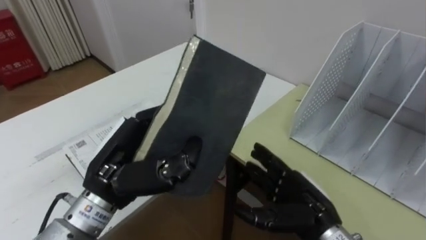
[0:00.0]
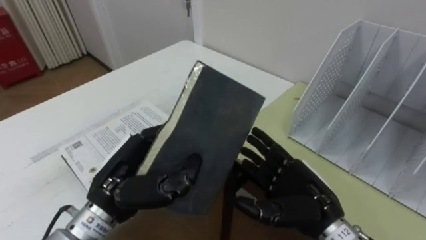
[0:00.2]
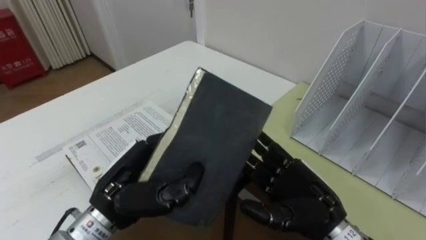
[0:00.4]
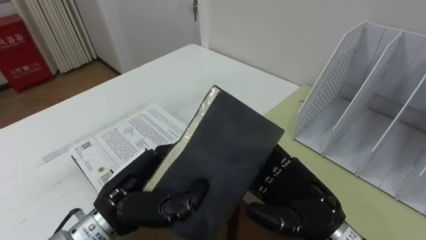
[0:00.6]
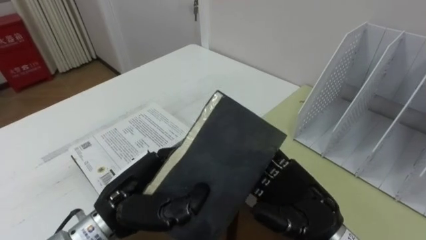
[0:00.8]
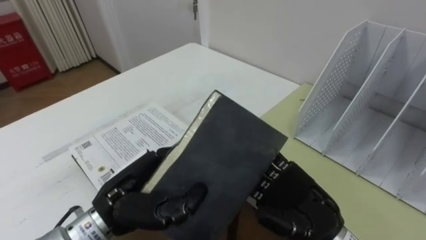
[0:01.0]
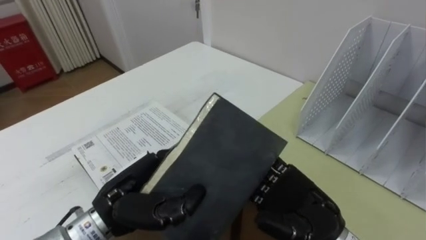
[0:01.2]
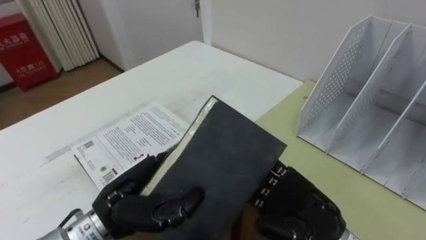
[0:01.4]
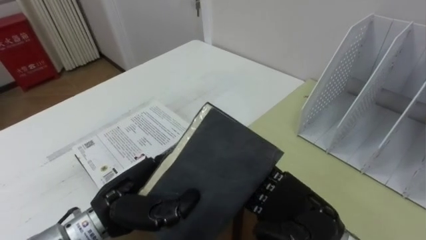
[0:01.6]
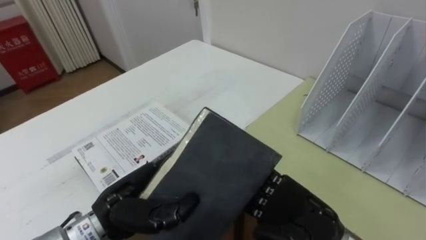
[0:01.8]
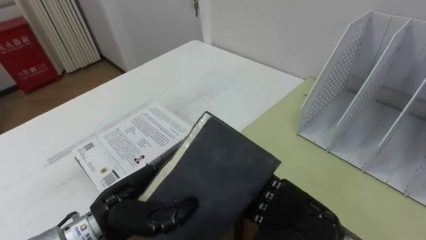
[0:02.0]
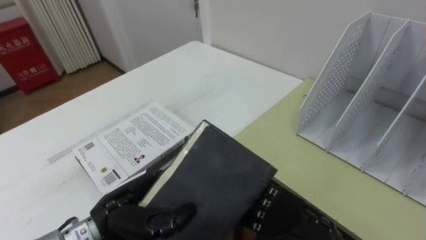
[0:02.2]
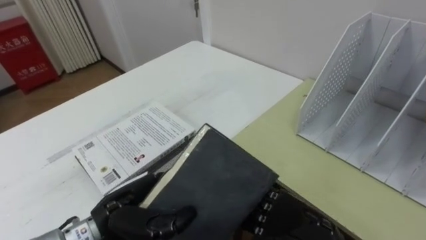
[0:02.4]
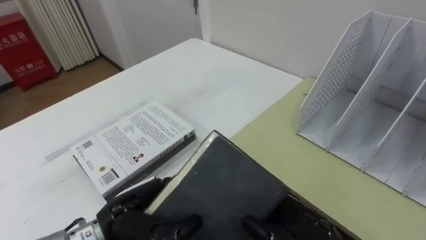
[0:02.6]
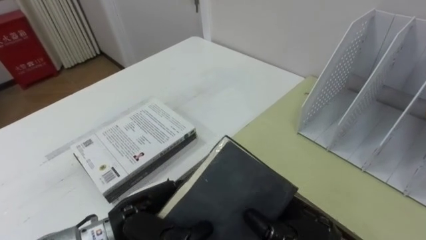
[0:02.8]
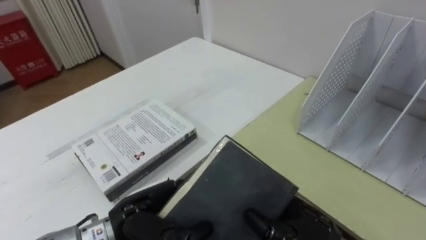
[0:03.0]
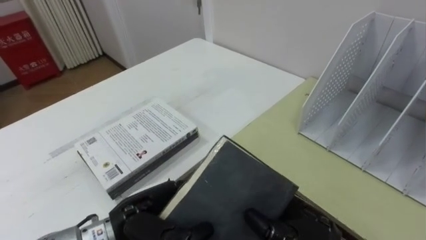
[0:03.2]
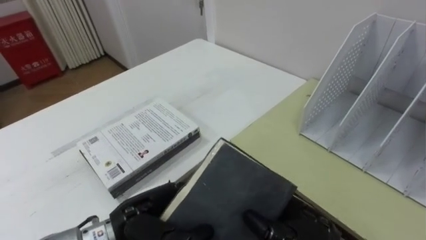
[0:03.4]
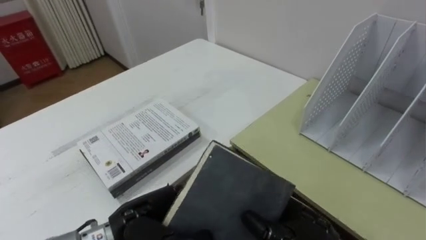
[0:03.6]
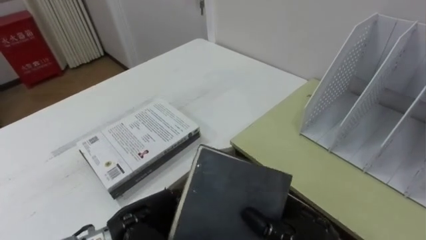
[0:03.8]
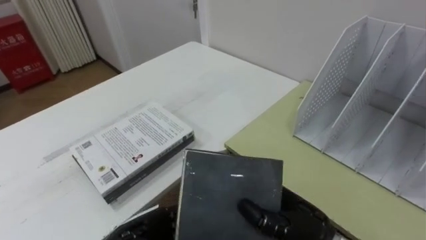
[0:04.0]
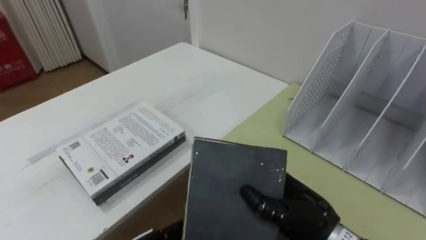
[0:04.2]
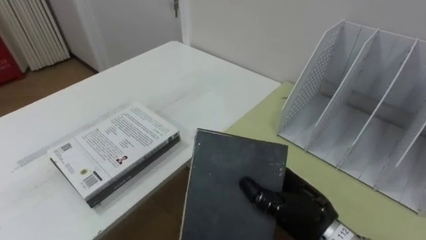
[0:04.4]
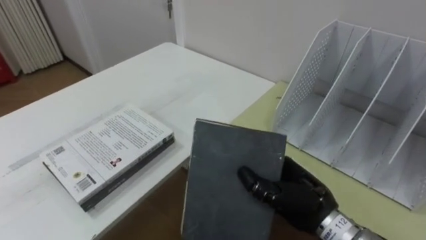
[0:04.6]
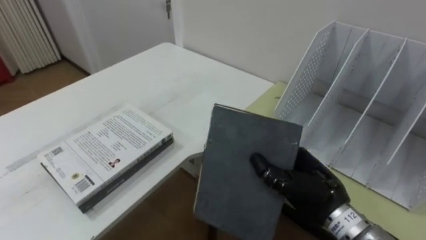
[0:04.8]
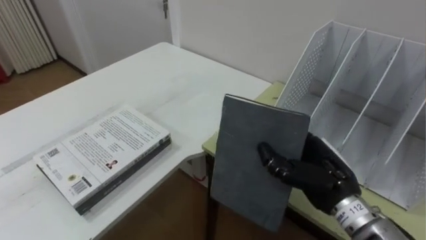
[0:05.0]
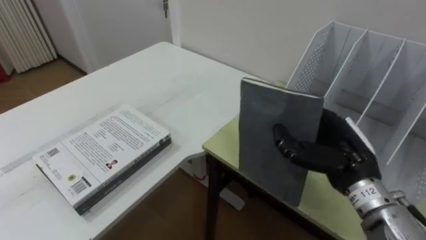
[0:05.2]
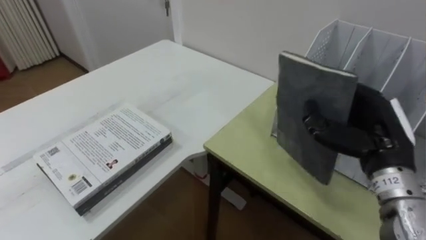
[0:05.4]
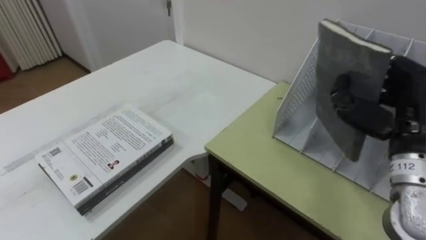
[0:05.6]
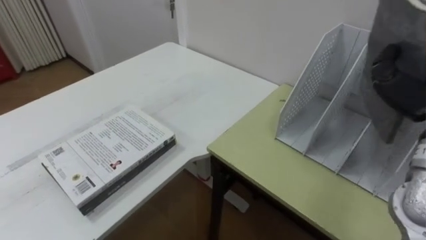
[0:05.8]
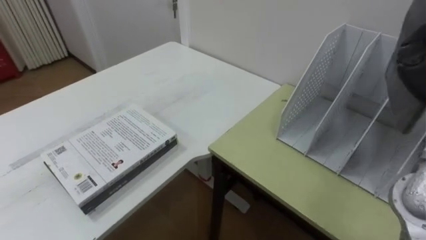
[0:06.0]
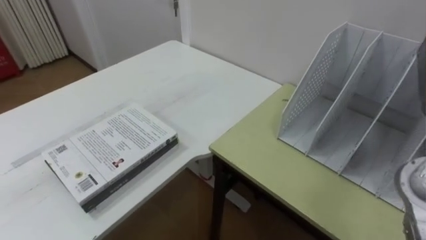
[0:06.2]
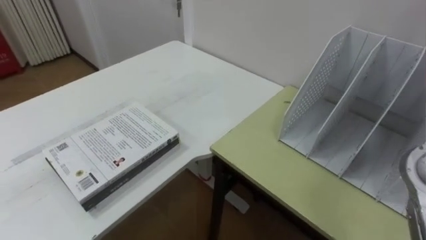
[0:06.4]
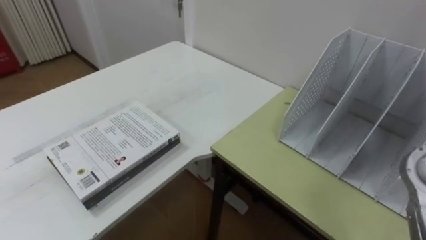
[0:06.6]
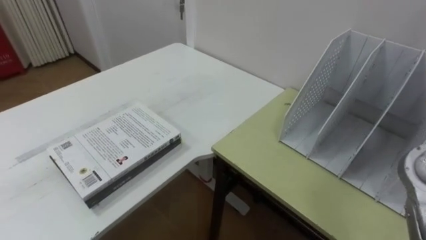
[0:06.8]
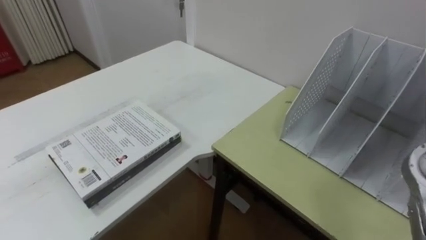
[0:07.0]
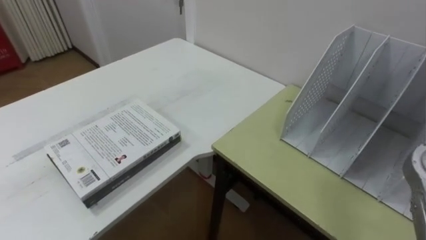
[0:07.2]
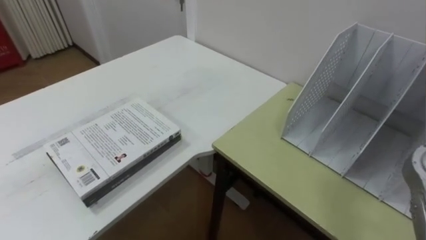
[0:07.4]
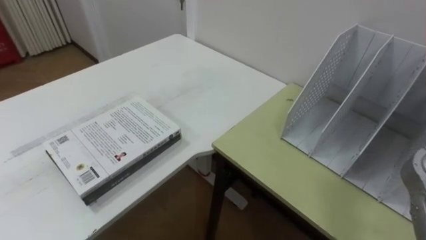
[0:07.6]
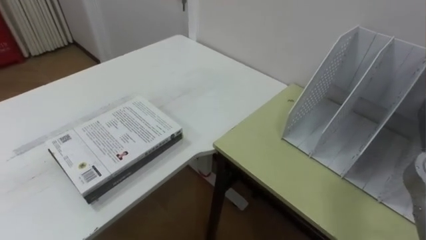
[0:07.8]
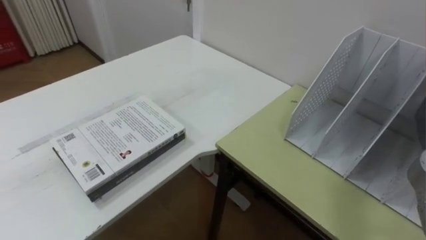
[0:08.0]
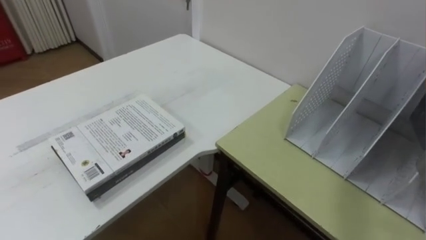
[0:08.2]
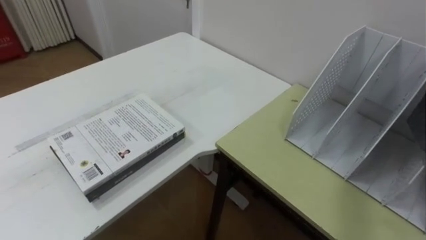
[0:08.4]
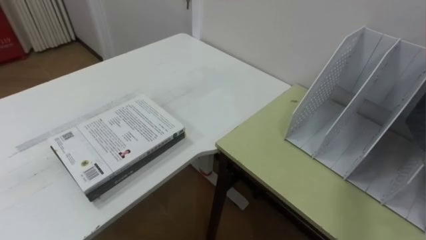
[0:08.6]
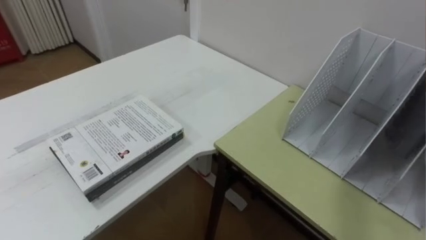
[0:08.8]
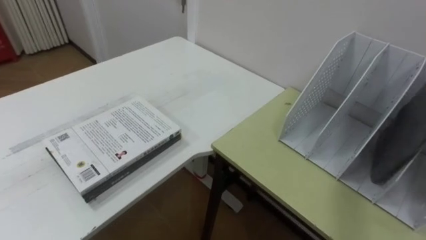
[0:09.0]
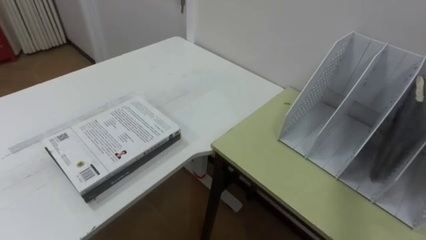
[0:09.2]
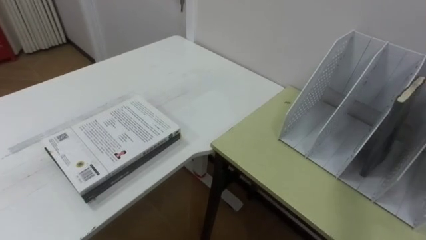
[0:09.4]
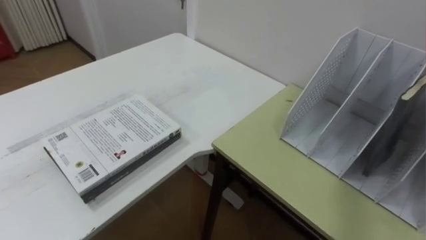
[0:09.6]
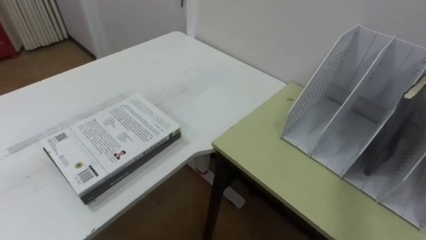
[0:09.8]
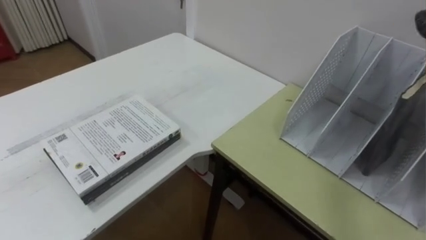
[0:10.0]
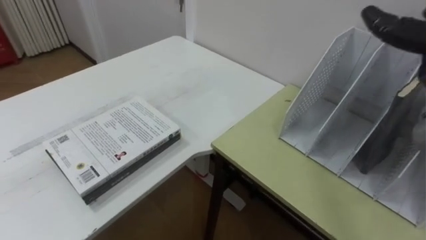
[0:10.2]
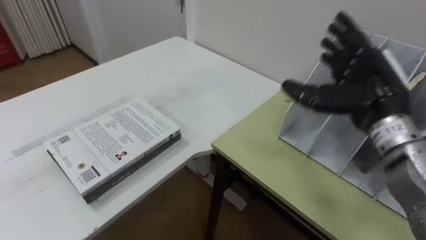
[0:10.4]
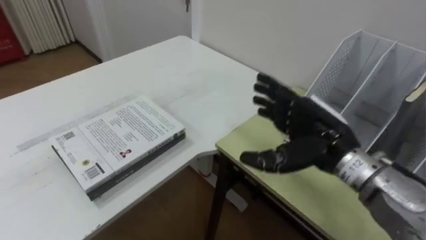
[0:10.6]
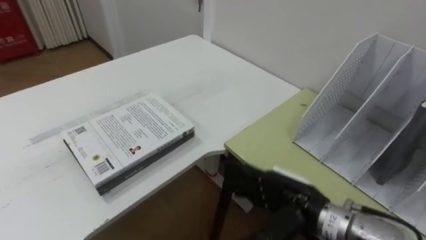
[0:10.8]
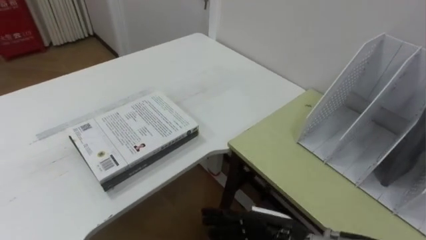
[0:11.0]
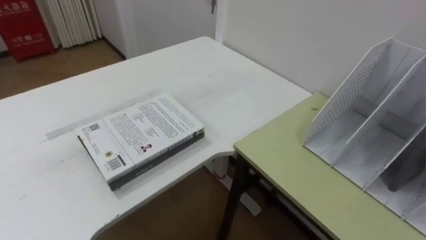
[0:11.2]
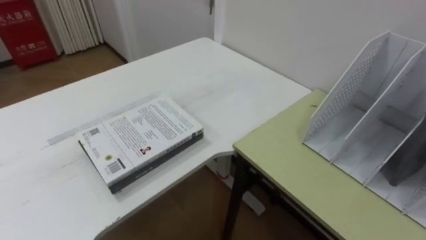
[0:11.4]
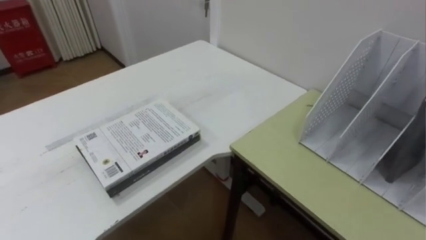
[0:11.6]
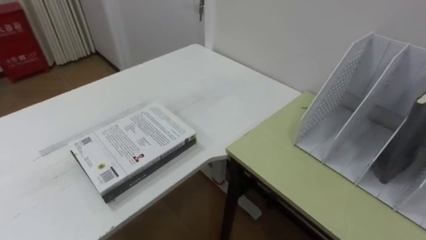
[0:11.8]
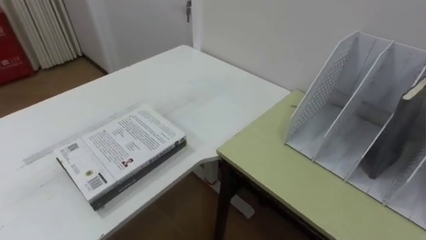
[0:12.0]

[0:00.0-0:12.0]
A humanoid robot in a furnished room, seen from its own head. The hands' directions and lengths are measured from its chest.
Task of the whole recording: Put the books on the table onto the bookshelf.
0:00.0 to 0:01.6: The left hand travels downward by approximately 5 cm, while the right hand travels upward by roughly 5 cm.
0:01.6 to 0:03.0: The right hand closes up.

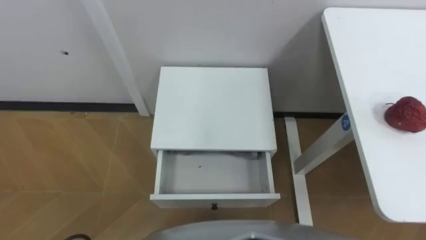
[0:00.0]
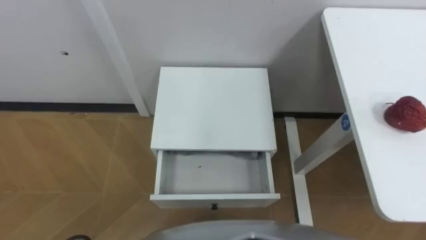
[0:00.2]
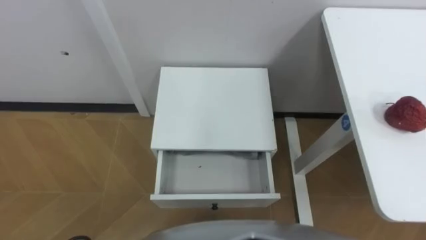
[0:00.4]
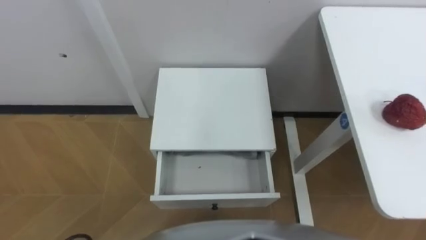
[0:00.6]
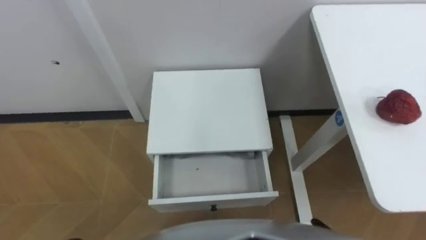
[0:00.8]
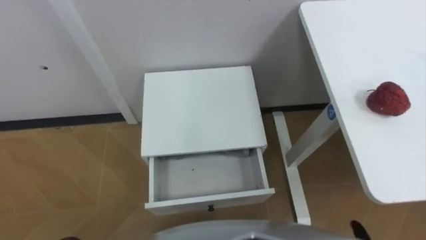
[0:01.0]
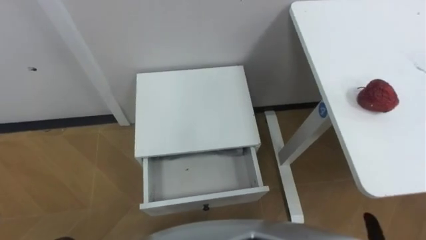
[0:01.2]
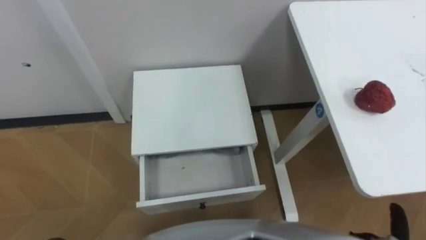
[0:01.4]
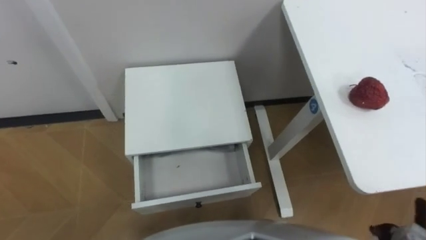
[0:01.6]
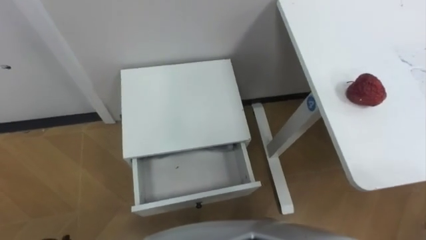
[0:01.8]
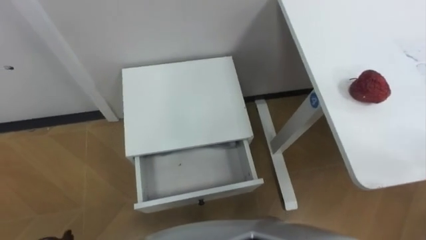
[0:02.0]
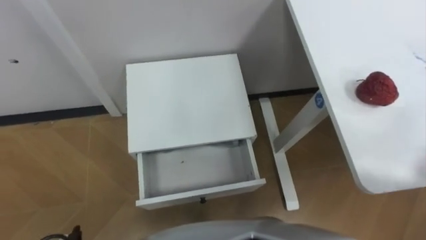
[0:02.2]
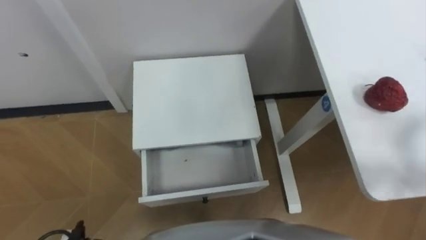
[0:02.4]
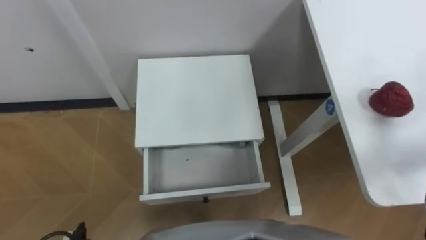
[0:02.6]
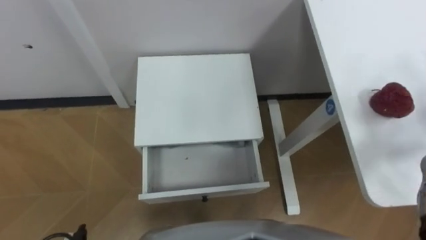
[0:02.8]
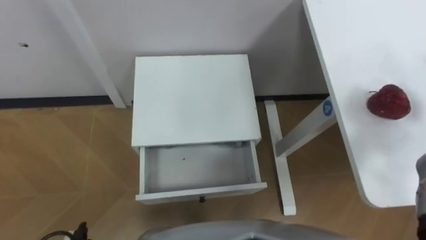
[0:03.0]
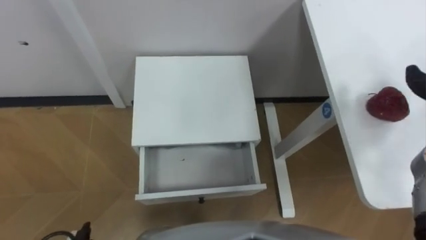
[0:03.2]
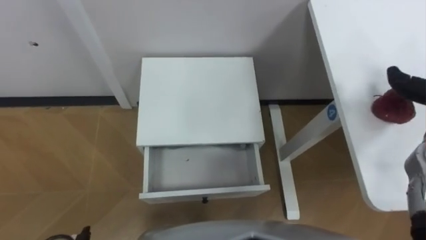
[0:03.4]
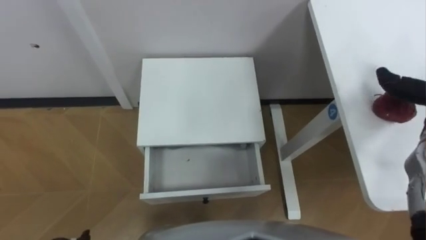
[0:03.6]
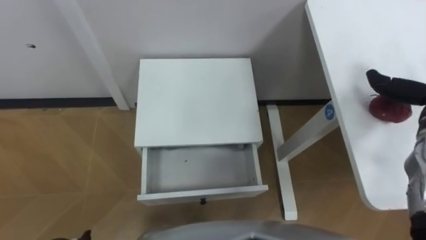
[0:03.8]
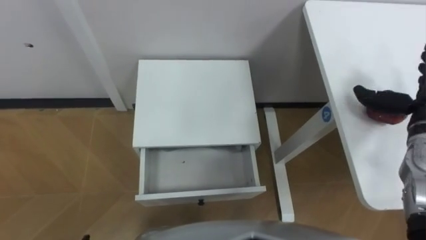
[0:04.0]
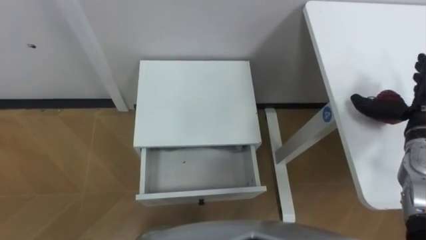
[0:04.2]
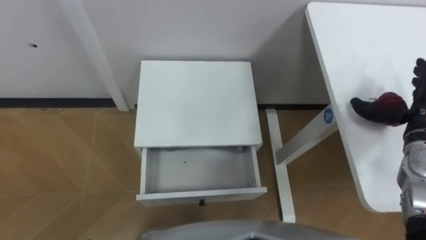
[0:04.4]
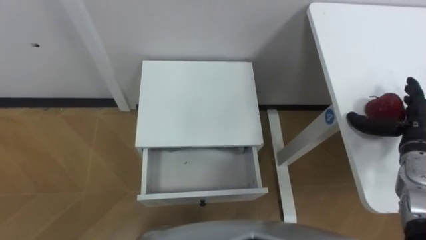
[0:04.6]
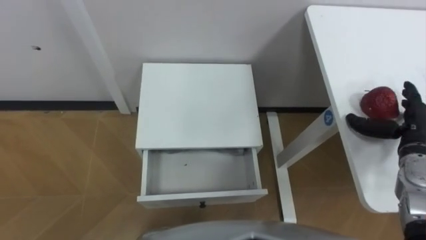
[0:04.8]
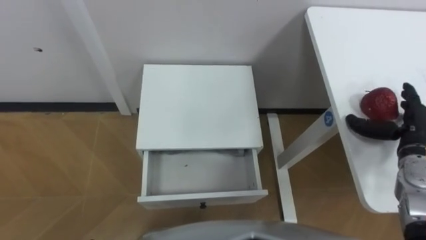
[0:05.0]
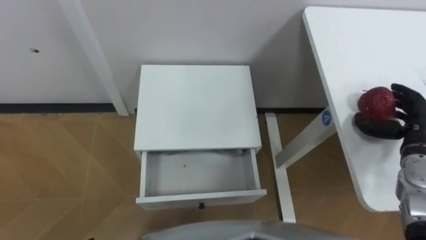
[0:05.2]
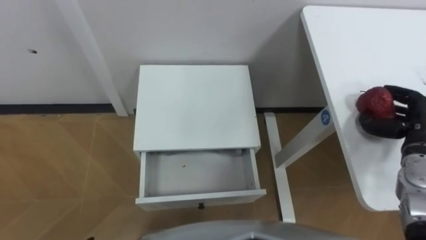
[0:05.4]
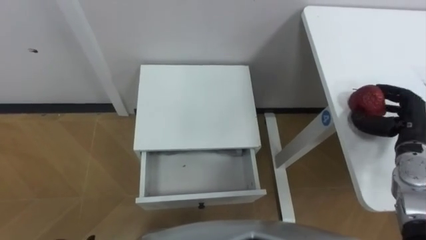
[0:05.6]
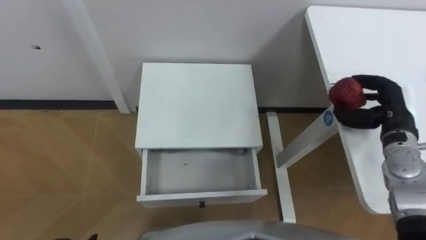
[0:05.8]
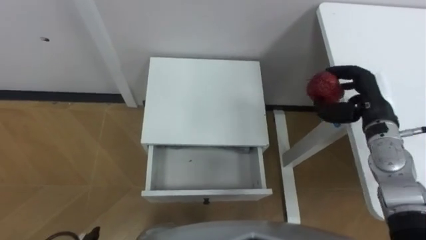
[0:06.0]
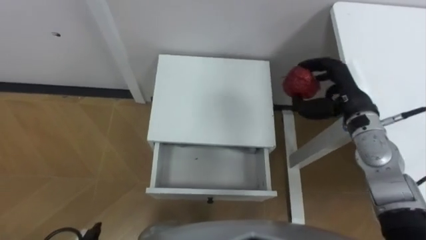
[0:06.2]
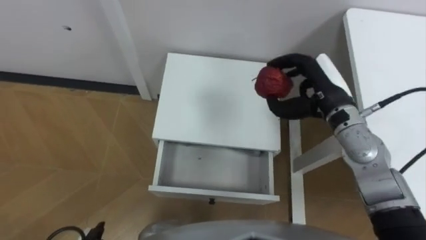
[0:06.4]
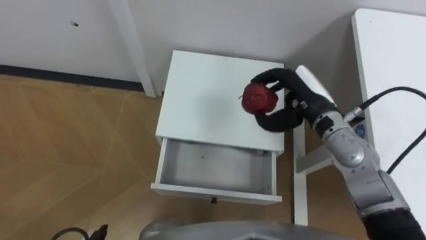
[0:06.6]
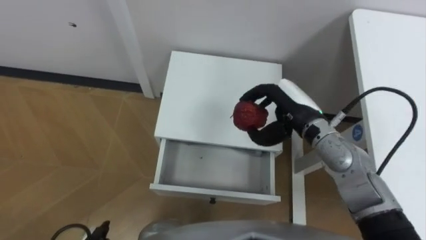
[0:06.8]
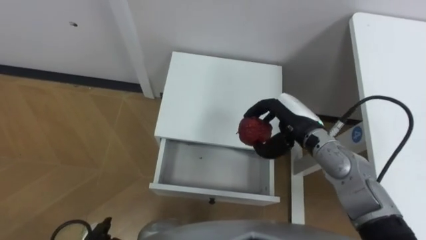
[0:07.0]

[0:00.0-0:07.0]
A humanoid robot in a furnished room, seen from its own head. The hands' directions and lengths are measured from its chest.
Task of the whole recording: Pick up the apple from the table, put it in the drawer, and close the drawer with leg.
0:04.2 to 0:05.6: The right hand closes.
0:05.6 to 0:07.0: The right hand shifts some 20 cm to the left.
